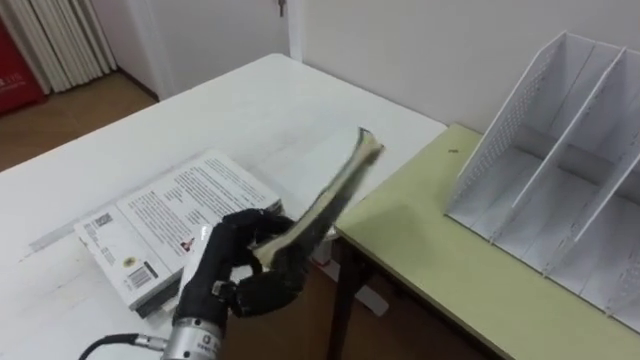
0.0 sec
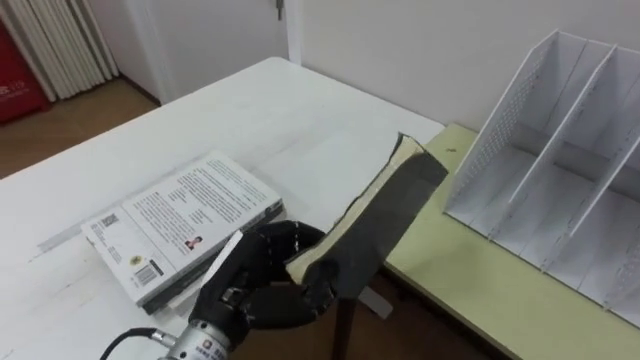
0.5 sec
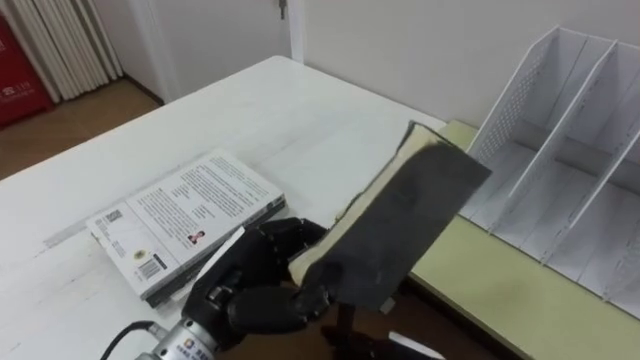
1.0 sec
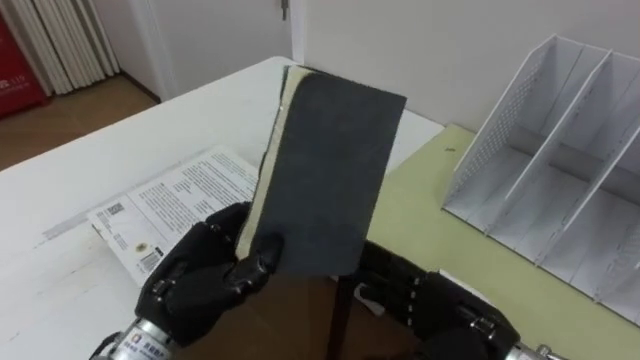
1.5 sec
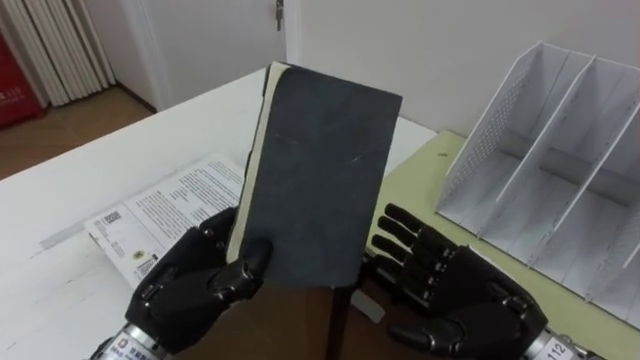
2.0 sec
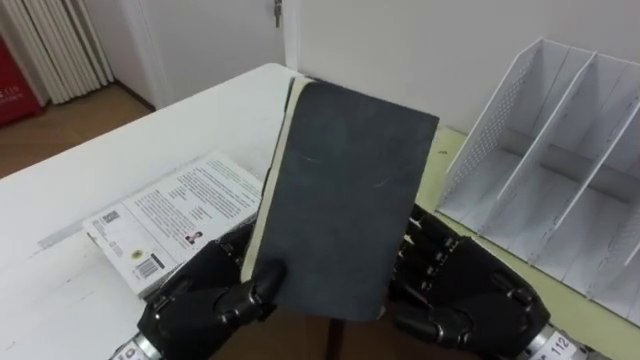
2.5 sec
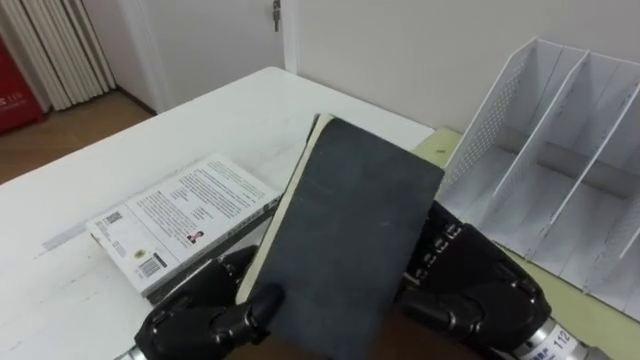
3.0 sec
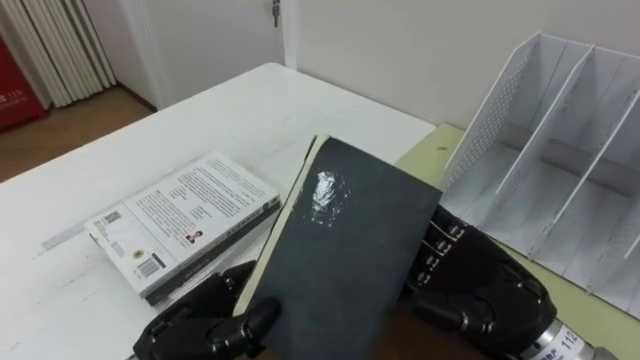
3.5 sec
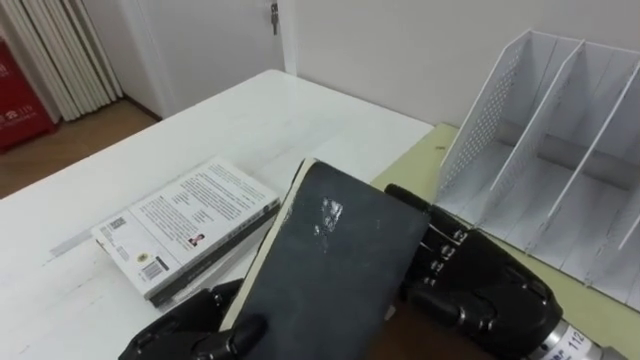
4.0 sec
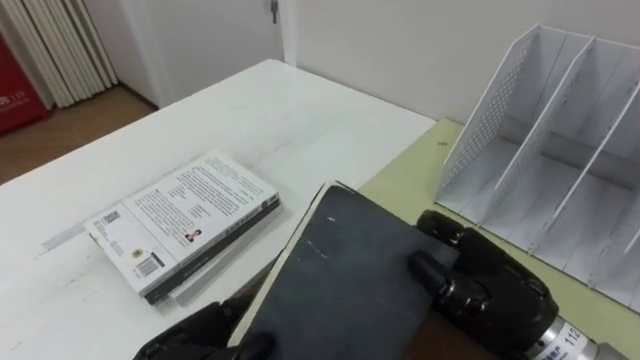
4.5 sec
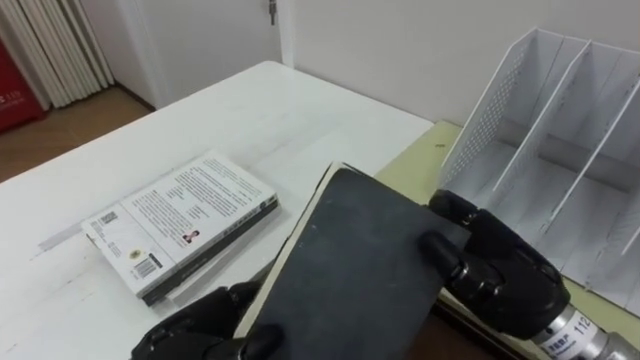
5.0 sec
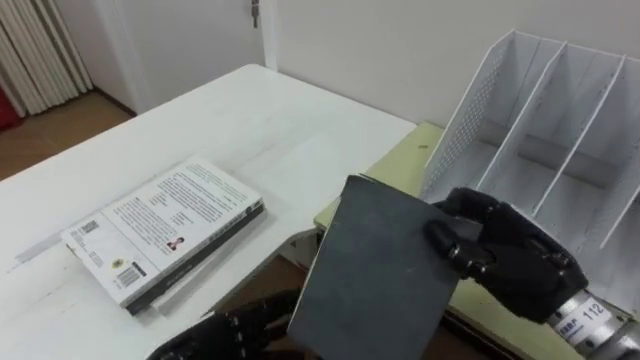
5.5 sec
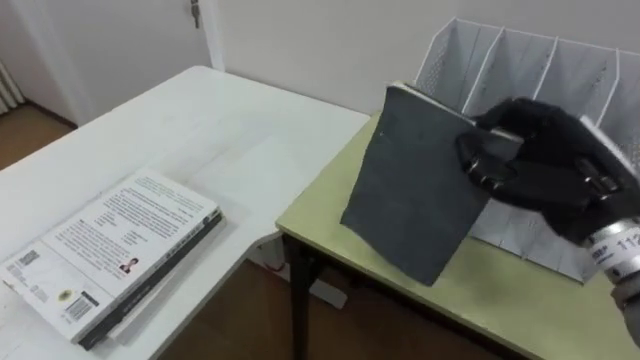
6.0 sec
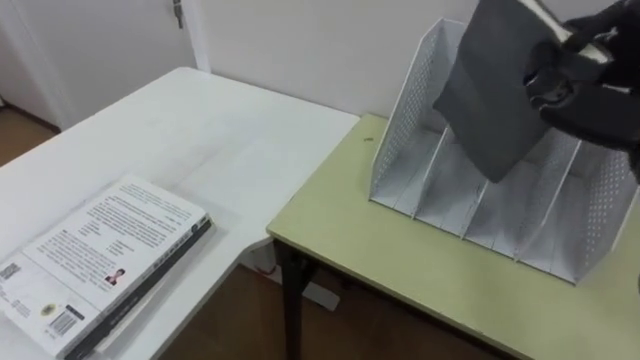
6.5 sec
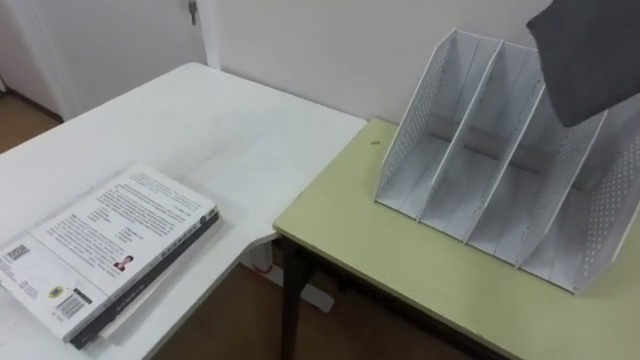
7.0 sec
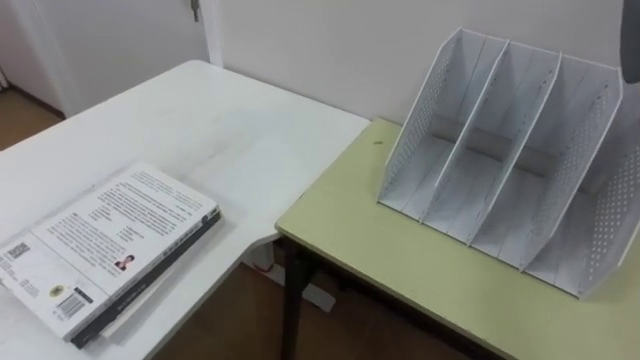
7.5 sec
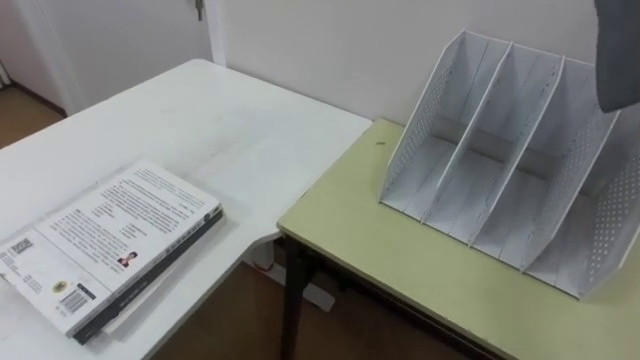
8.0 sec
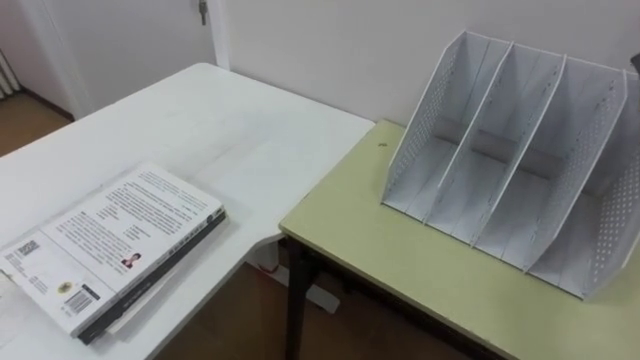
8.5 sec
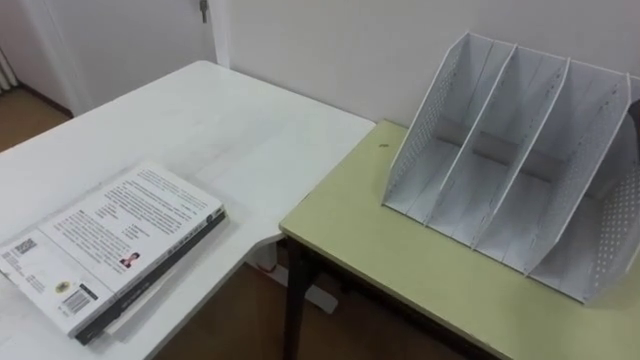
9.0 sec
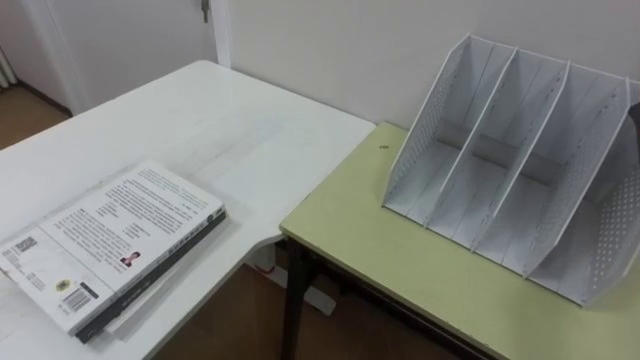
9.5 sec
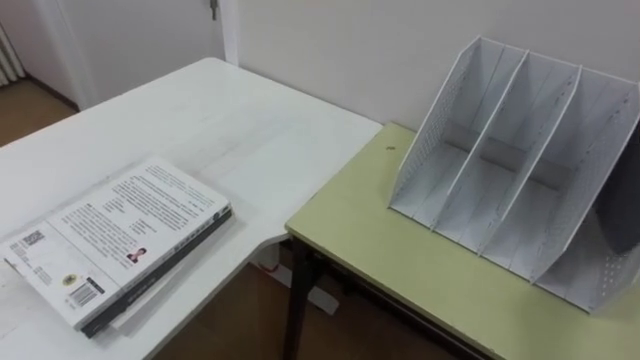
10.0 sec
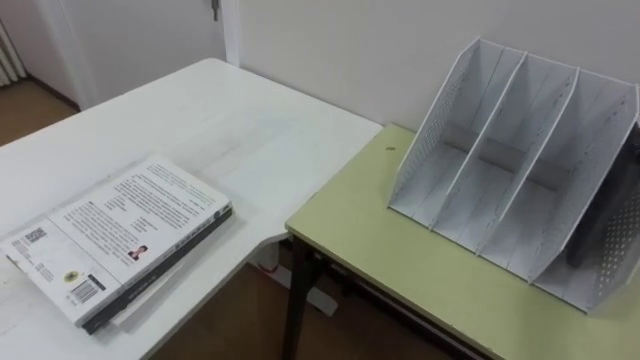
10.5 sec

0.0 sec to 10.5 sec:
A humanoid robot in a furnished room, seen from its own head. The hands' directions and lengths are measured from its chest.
Task of the whole recording: Put the books on the table onto the bookshelf.
2.0 sec to 4.0 sec: The left hand is displaced downward by about 5 cm.

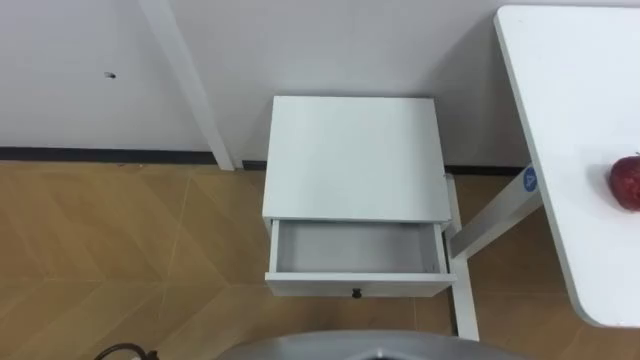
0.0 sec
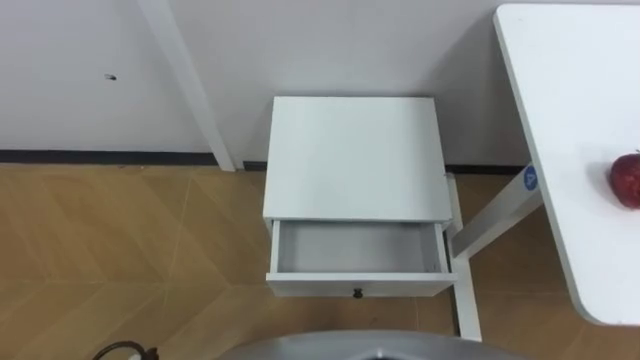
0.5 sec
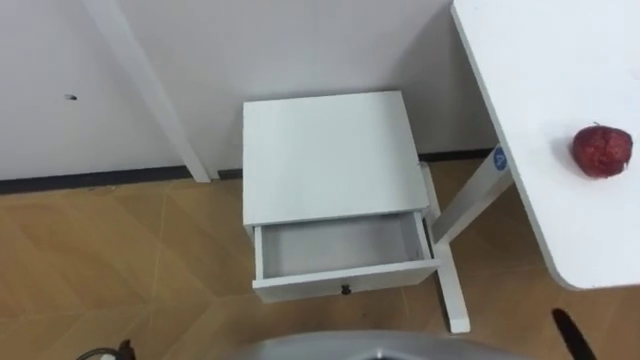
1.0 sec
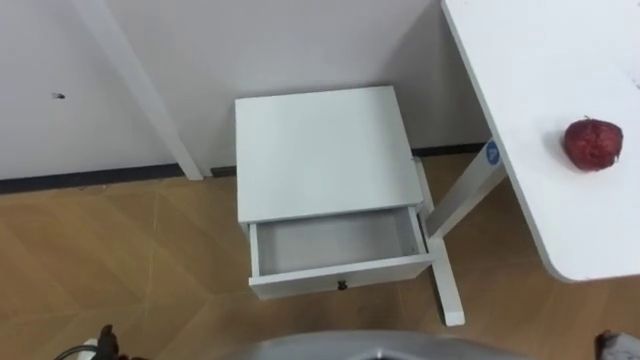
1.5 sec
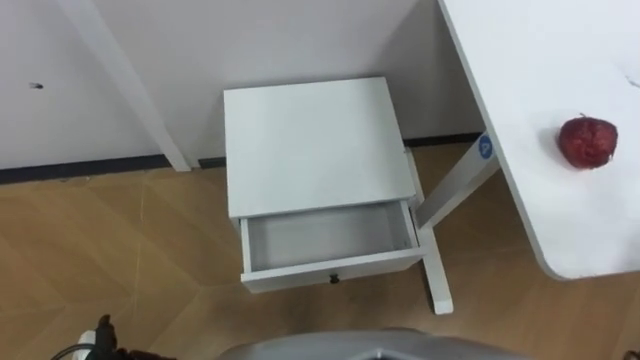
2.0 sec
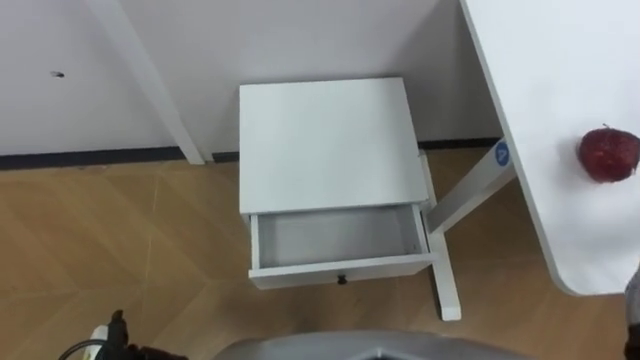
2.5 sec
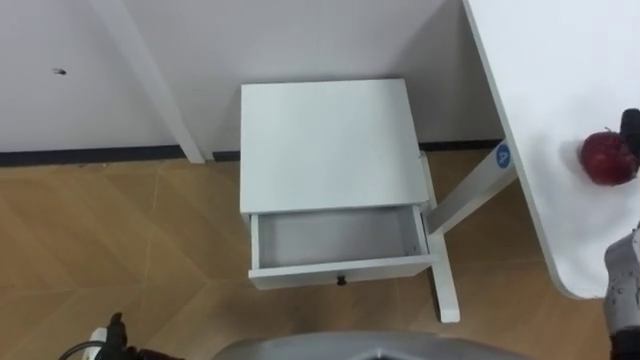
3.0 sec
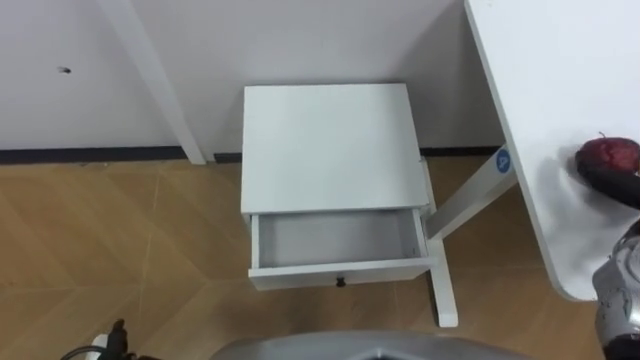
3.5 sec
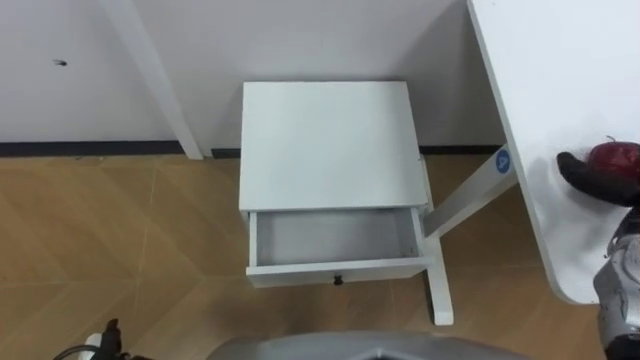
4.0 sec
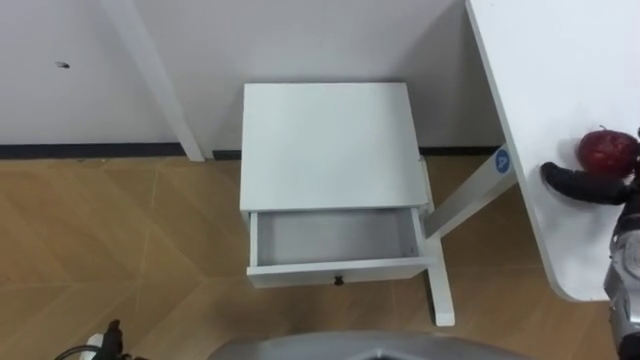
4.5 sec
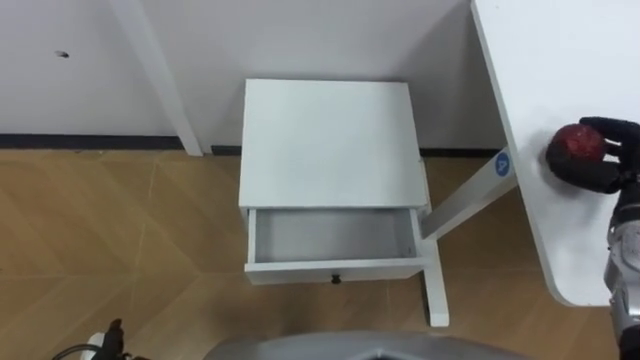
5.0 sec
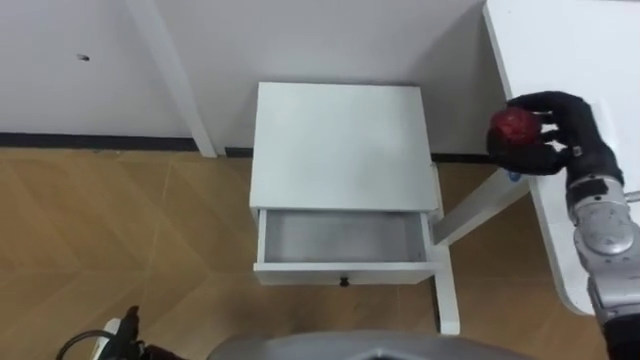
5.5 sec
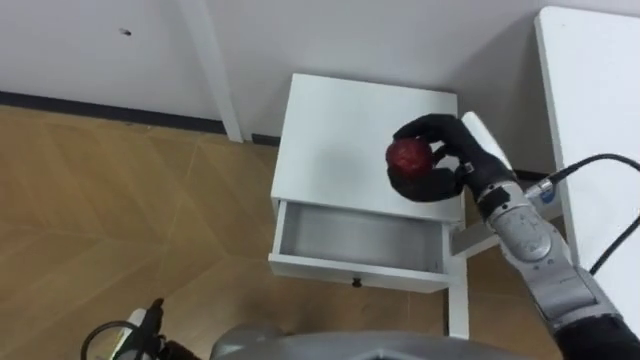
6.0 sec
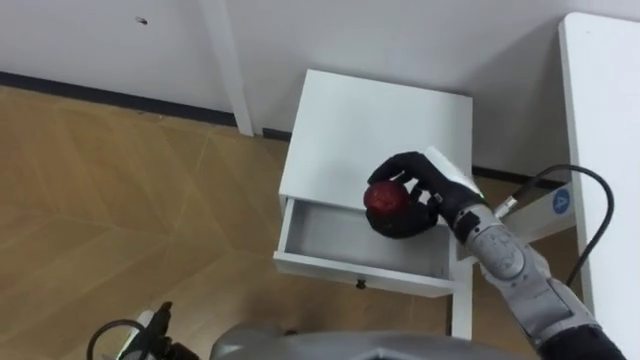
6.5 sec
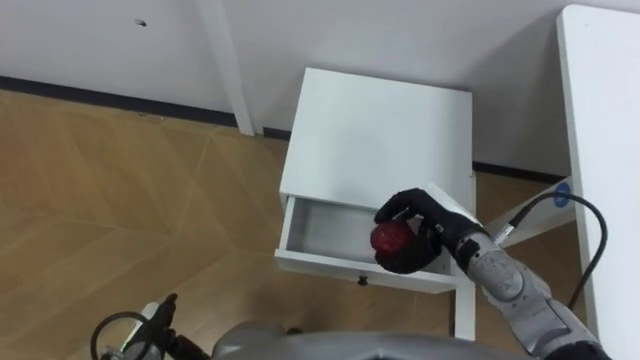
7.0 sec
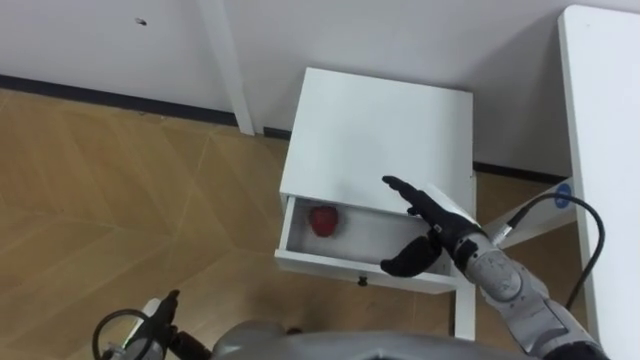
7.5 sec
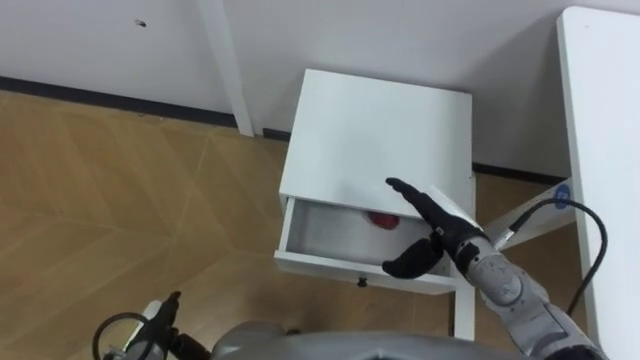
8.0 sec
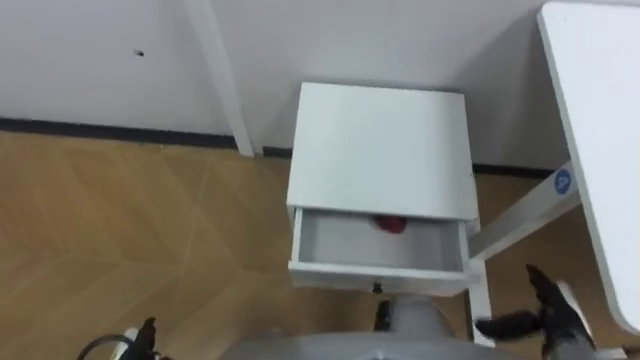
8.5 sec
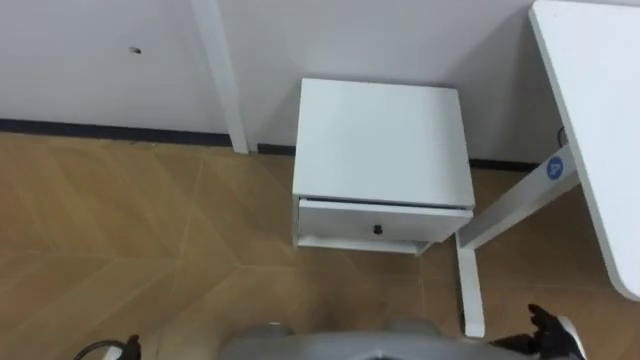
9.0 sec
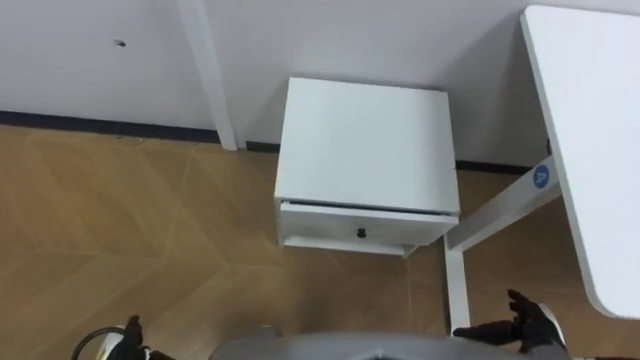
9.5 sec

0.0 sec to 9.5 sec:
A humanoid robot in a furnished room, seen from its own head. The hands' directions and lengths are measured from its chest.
Task of the whole recording: Pick up the apple from the table, put it in the drawer, and close the drawer with leg.
5.5 sec to 7.5 sec: The right hand travels to the left and downward by about 20 cm, and opens up. The left hand changes place by some 5 cm.
